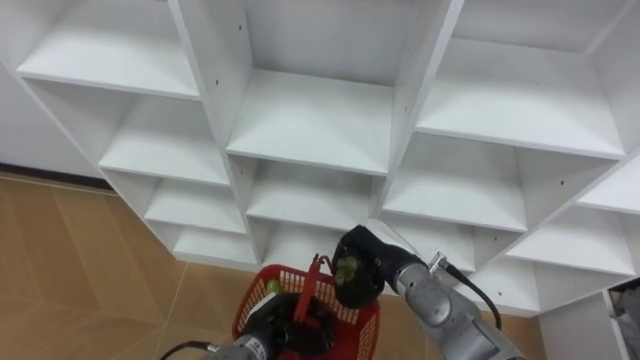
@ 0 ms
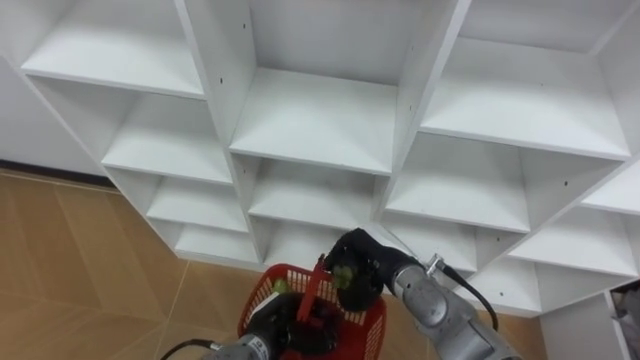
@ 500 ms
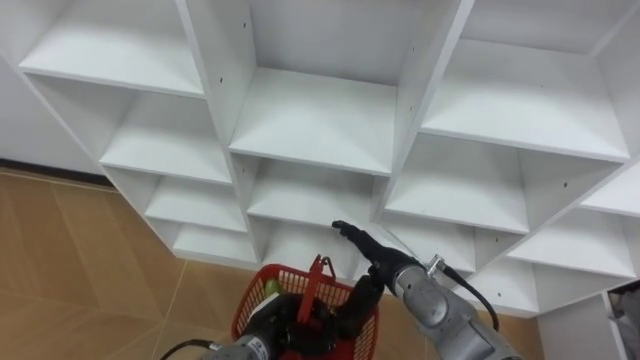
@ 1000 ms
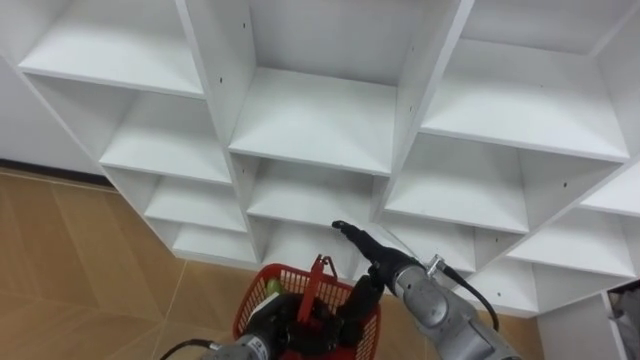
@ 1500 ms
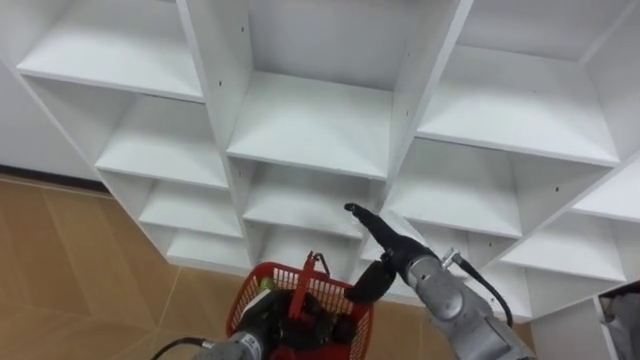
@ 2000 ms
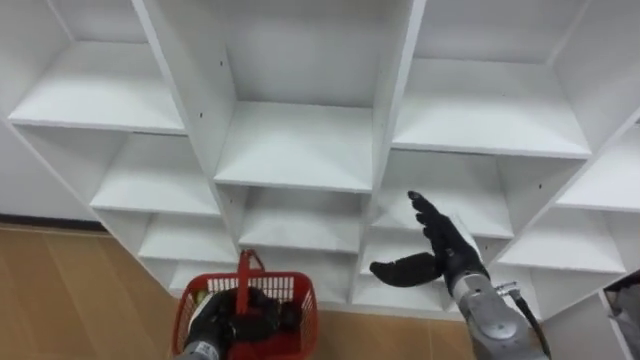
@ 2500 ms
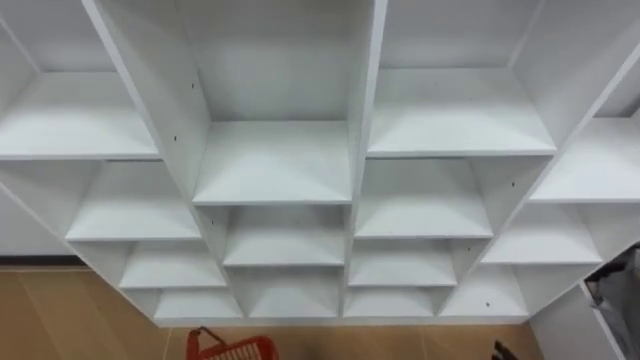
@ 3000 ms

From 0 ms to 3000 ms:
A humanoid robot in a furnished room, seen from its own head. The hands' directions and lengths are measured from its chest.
Task of the whole recording: Hold the basket and collect the fruits from 3 different cells of the closet into it.
From 0 ms to 1500 ms: The right hand opens its fingers.

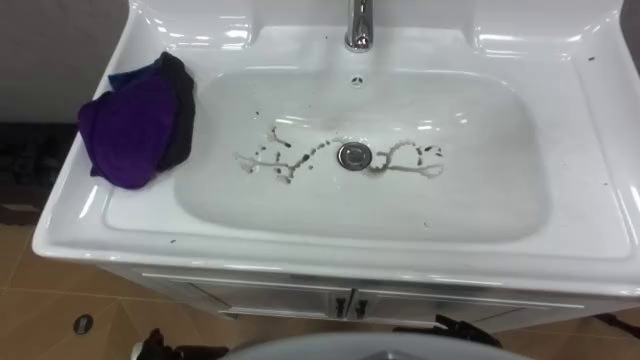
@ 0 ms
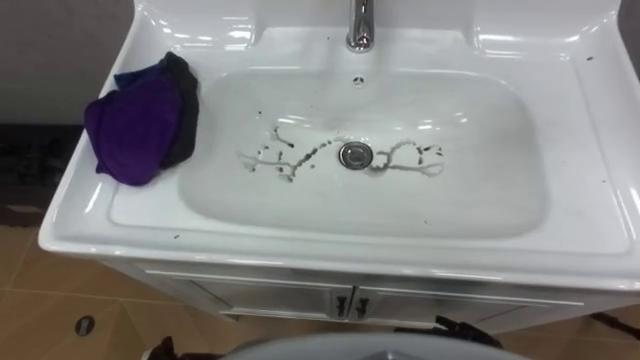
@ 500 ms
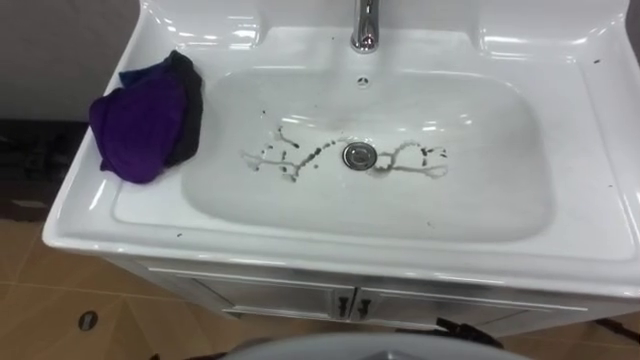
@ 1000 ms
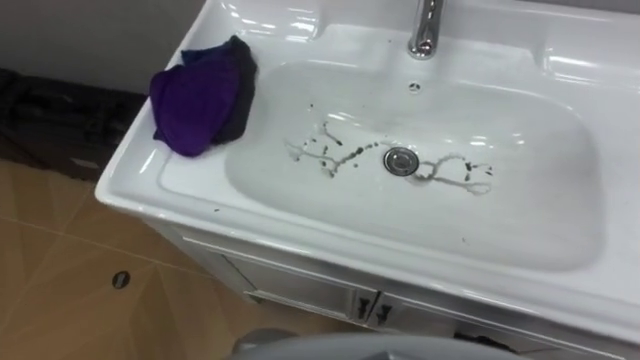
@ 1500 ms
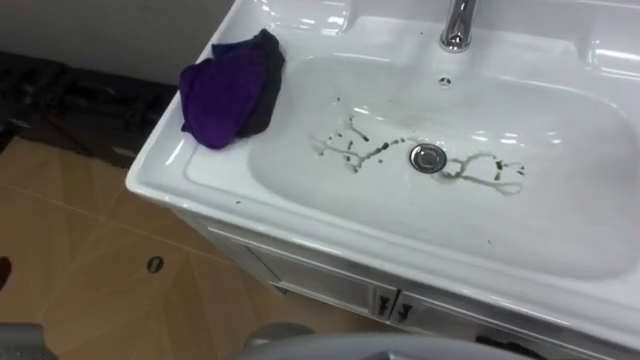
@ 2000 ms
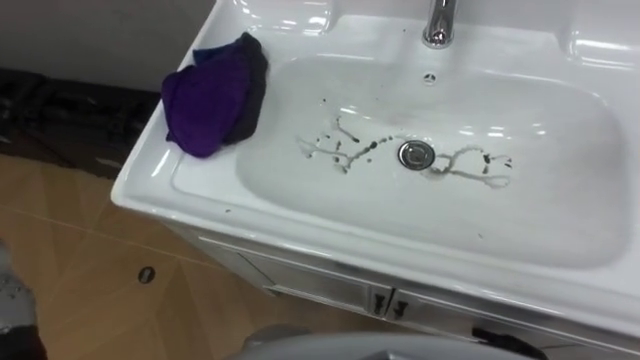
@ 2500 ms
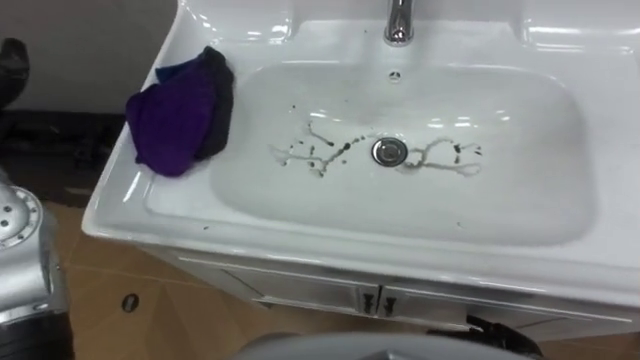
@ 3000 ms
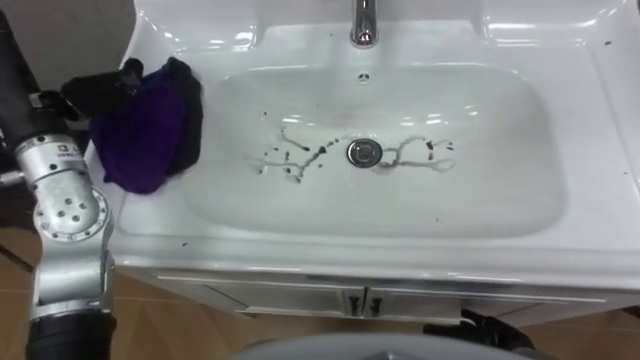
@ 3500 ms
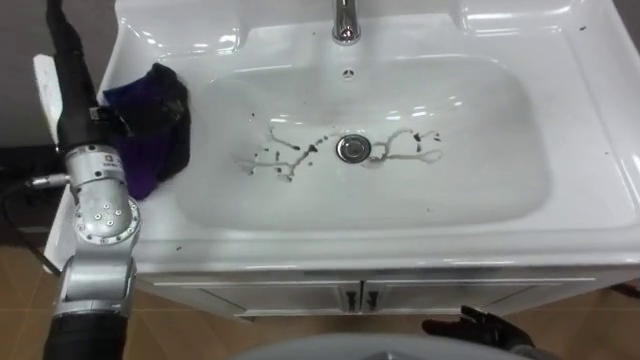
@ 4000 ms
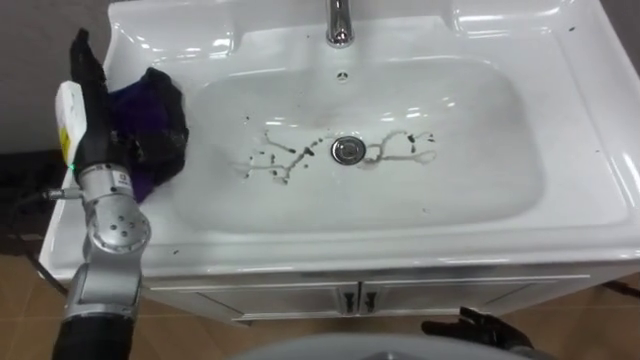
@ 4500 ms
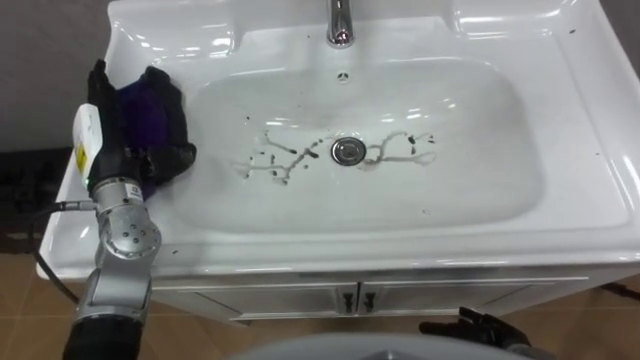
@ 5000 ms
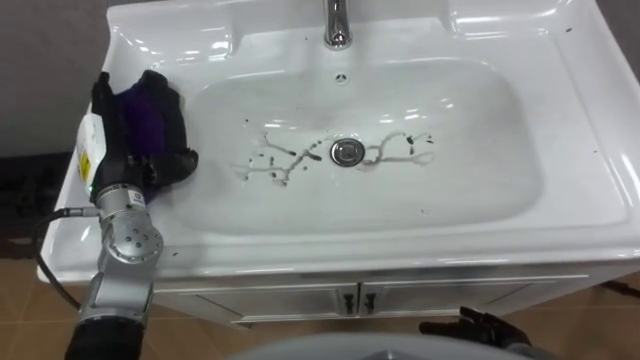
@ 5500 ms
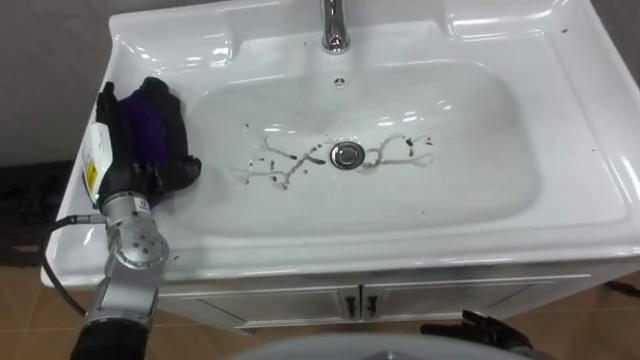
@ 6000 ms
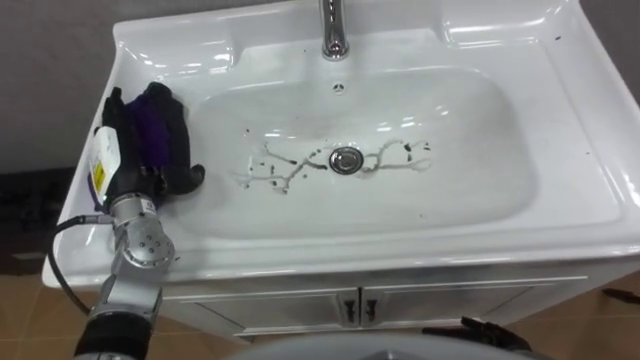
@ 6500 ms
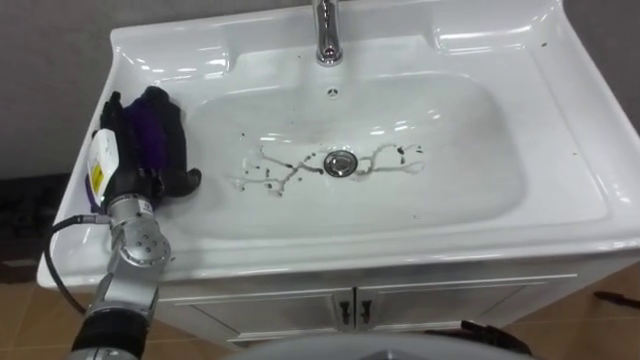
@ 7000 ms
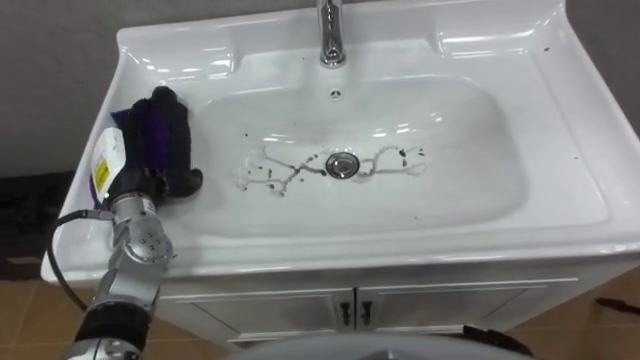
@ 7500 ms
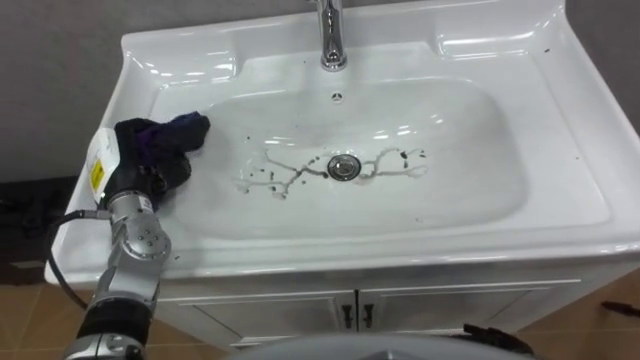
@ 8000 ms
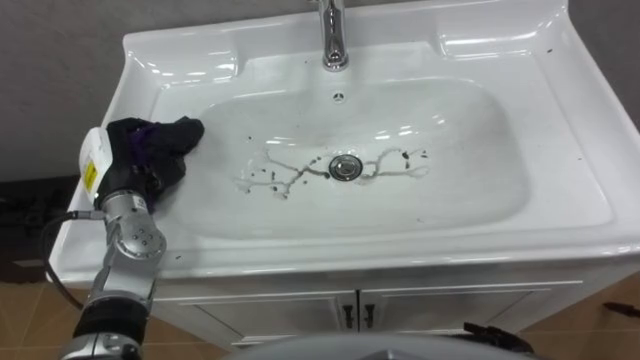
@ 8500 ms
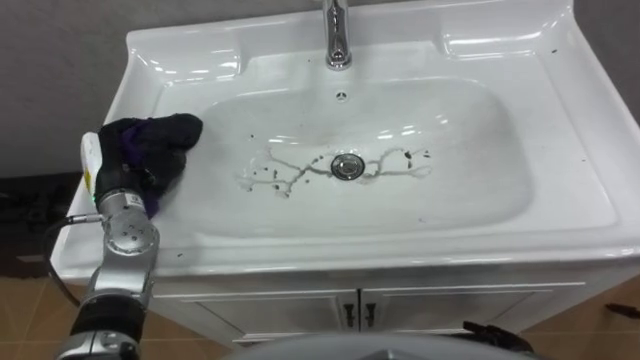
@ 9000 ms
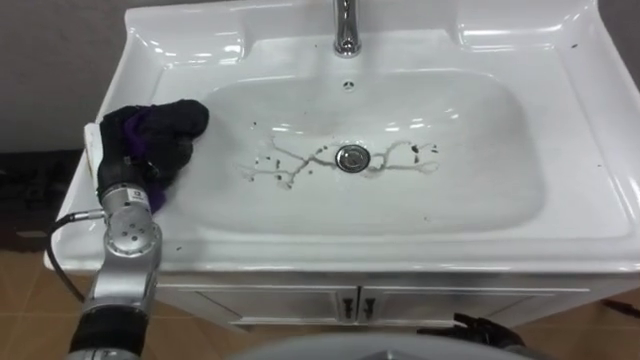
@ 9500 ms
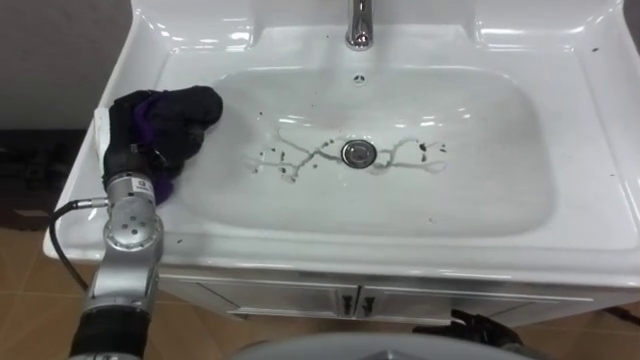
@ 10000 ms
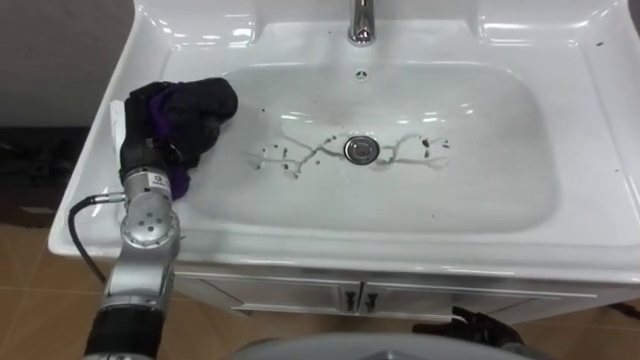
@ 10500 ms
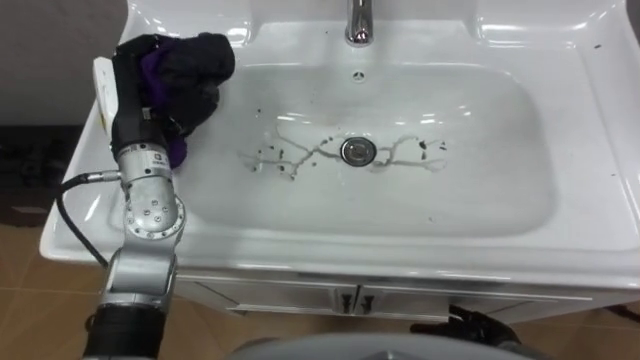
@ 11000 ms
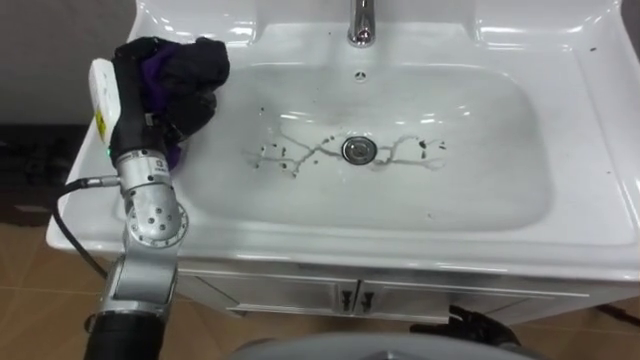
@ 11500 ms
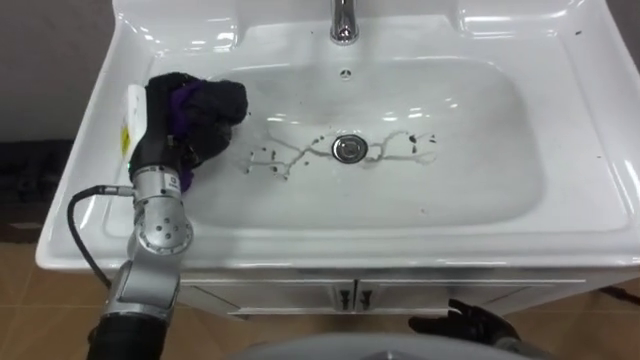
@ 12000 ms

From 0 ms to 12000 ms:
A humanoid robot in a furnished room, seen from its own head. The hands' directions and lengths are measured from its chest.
Task of the whole recording: Use the cloth on the right to wipe away the black stain in the sink.
From 4000 ms to 6000 ms: The left hand goes some 10 cm downward.
From 6000 ms to 8000 ms: The left hand closes its fingers.
From 8000 ms to 10000 ms: The left hand ends up about 5 cm from where it was.
From 10000 ms to 12000 ms: The left hand moves roughly 5 cm.

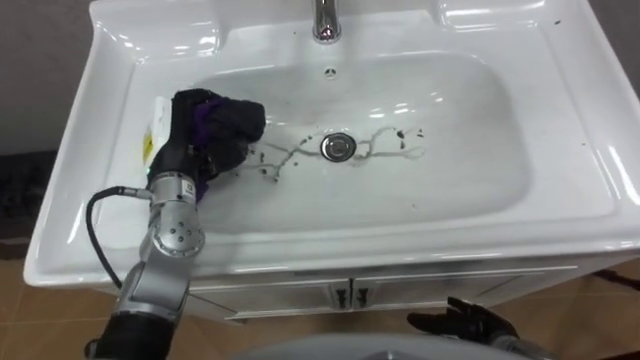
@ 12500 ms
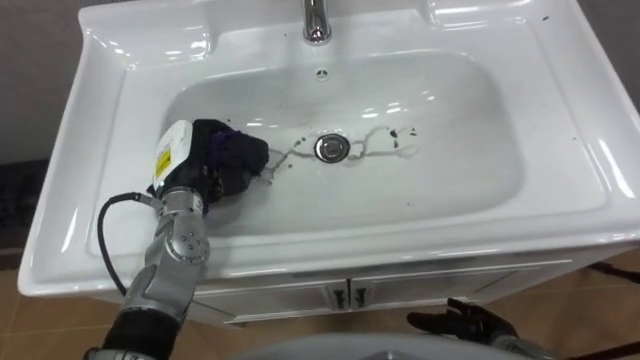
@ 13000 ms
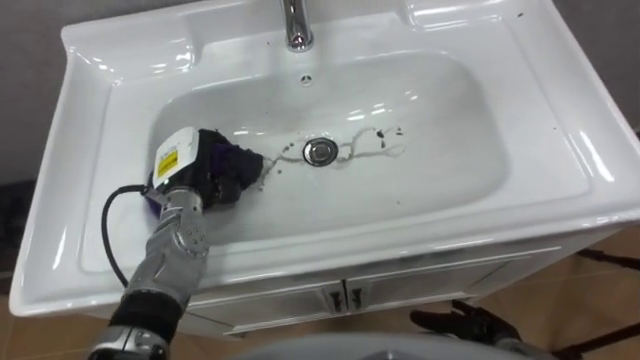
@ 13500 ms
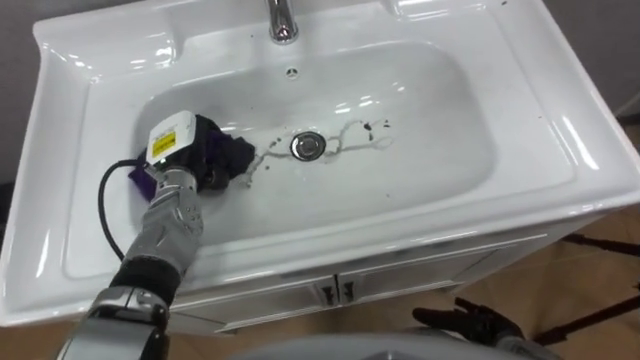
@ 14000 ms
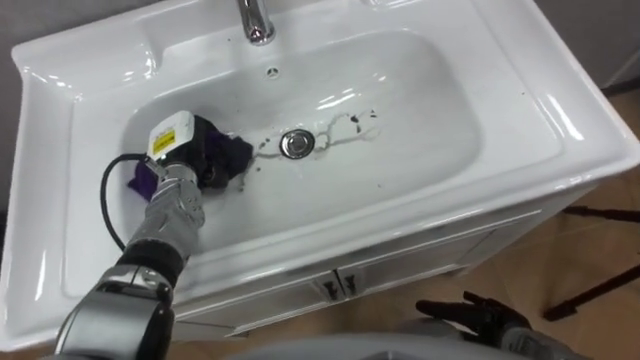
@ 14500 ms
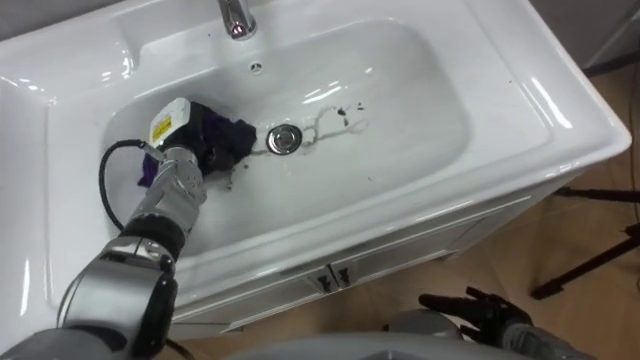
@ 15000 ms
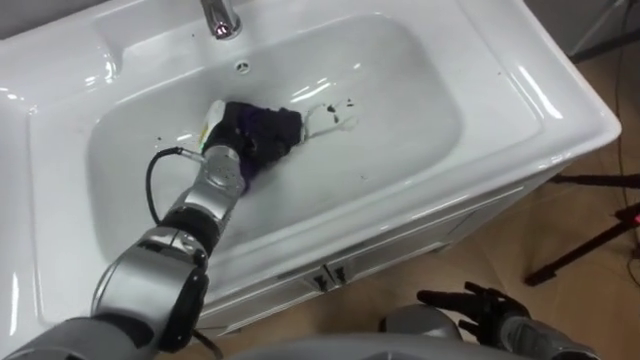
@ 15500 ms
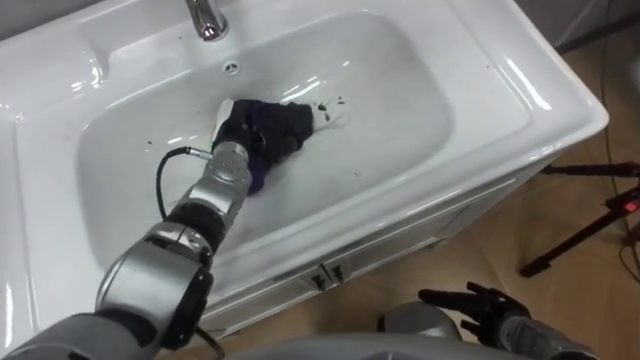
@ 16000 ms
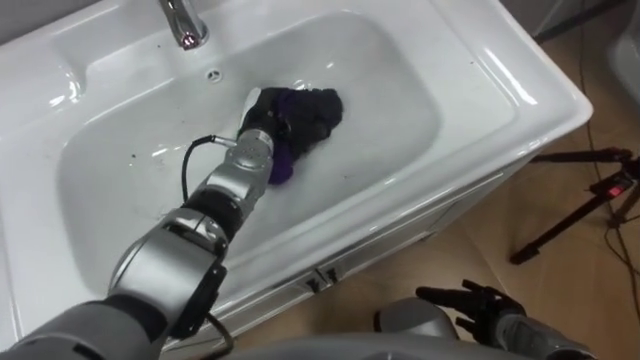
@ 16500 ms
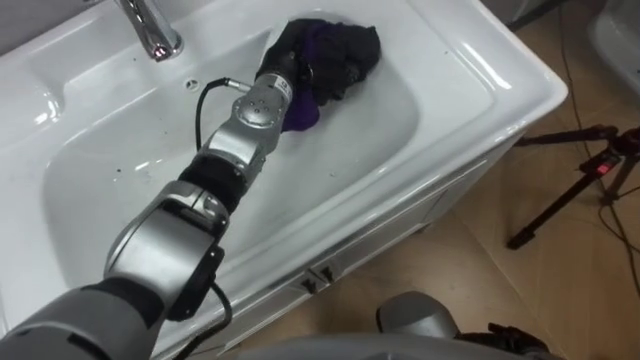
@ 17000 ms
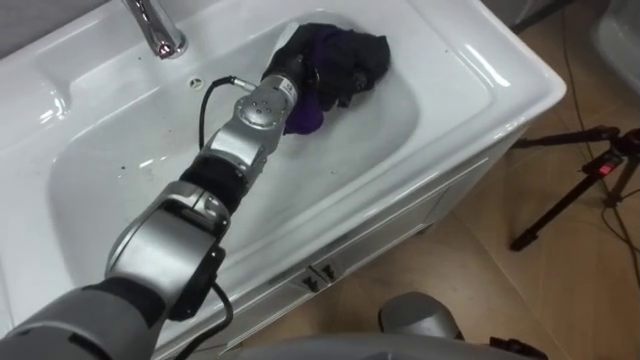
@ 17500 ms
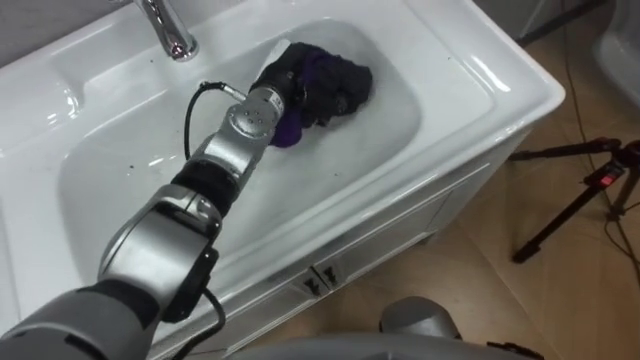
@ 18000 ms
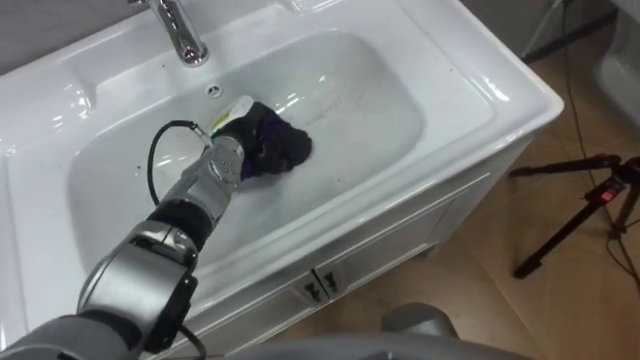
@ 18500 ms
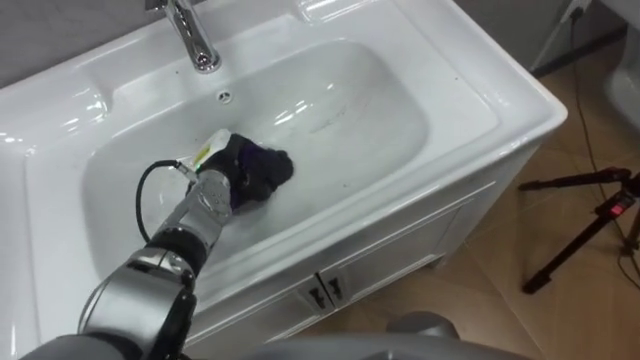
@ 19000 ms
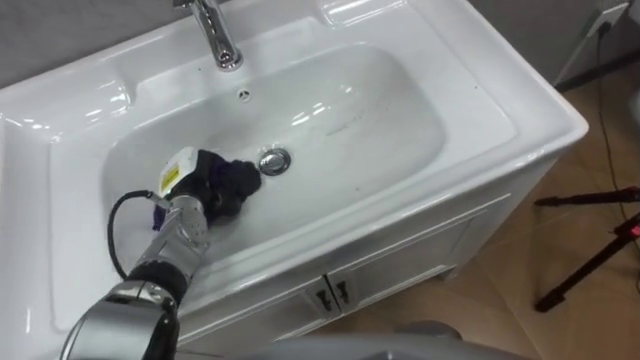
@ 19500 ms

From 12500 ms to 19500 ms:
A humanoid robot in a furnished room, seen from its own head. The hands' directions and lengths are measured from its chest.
Task of the whole recording: Use the cloth on the right to wipe away the black stain in the sink.
From 12500 ms to 14500 ms: The left hand goes some 10 cm downward.
From 14500 ms to 16000 ms: The left hand is displaced to the right by roughly 10 cm.
From 16000 ms to 17500 ms: The left hand is displaced upward, to the right and forward by roughly 15 cm.
From 17500 ms to 19500 ms: The left hand heads to the left, downward and backward, covering roughly 25 cm.
